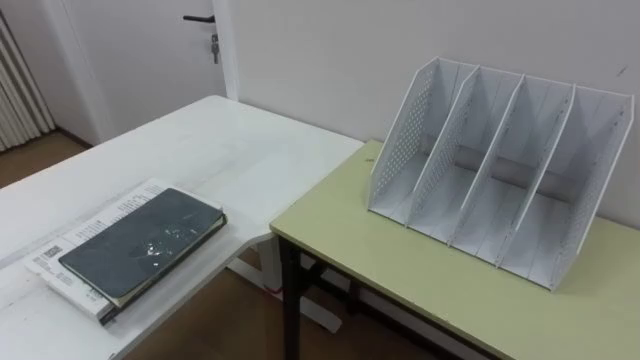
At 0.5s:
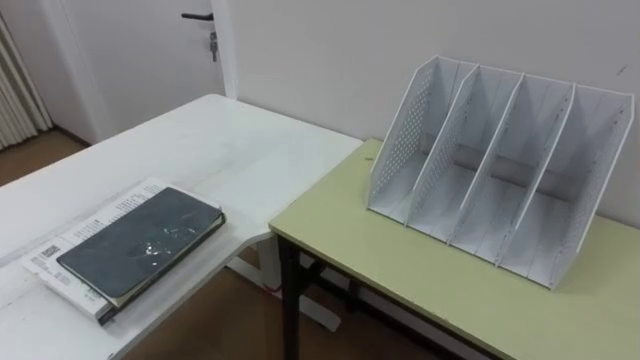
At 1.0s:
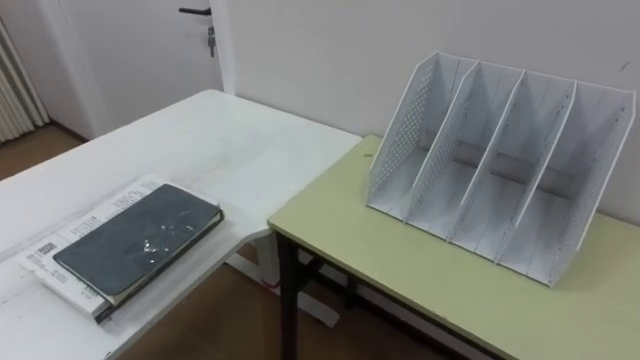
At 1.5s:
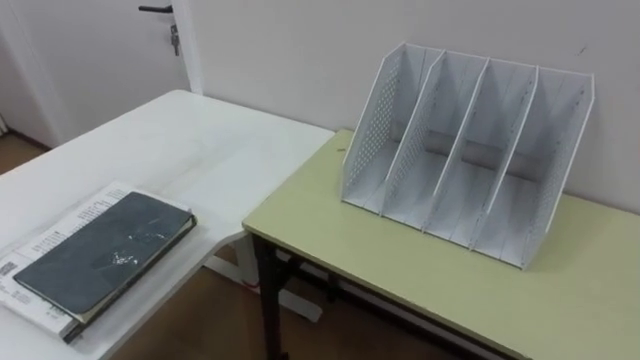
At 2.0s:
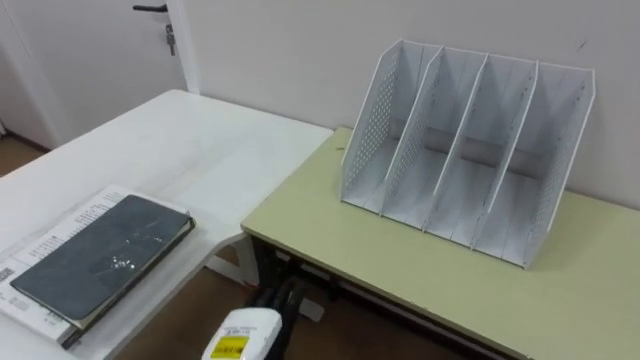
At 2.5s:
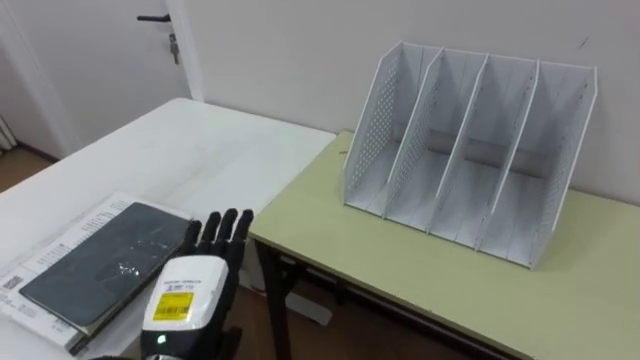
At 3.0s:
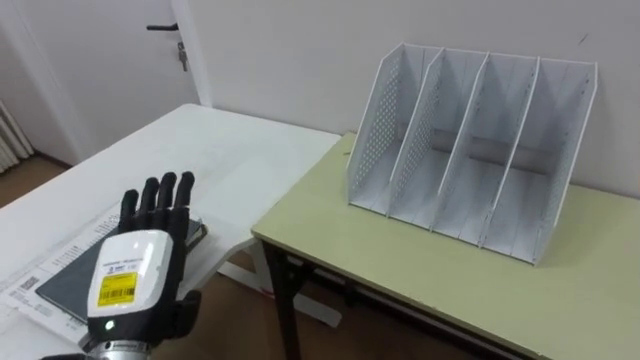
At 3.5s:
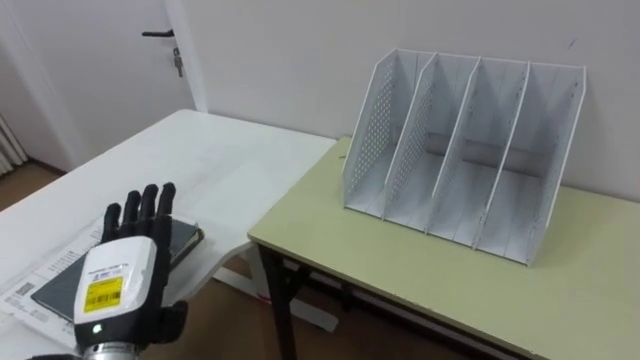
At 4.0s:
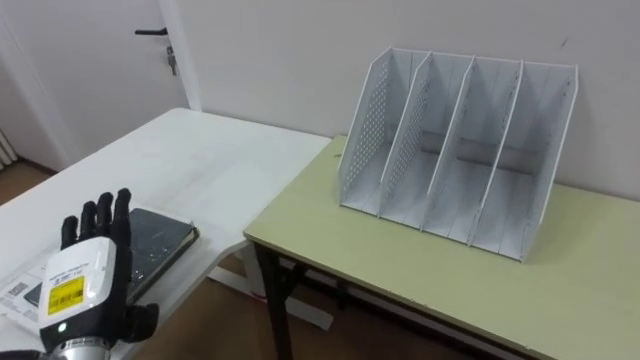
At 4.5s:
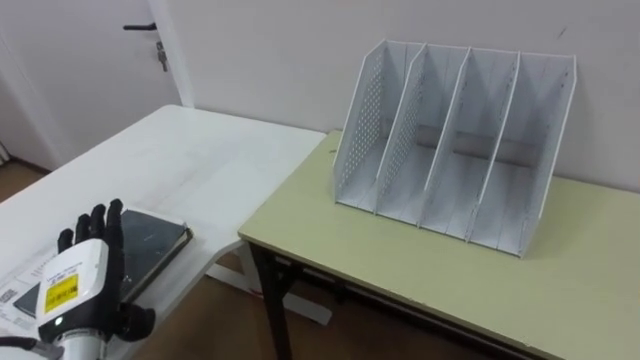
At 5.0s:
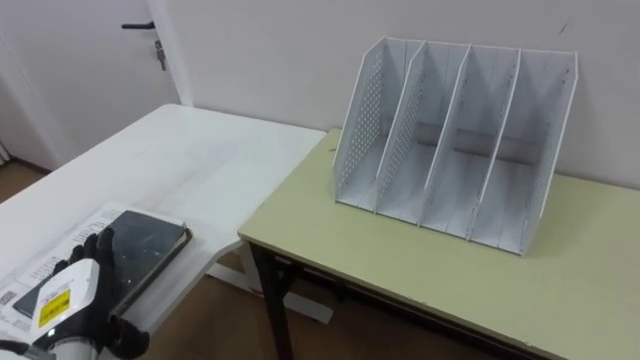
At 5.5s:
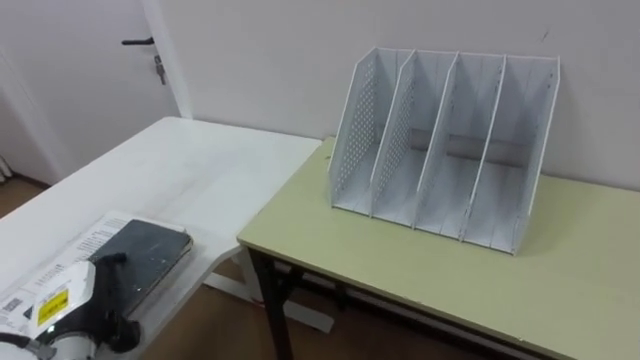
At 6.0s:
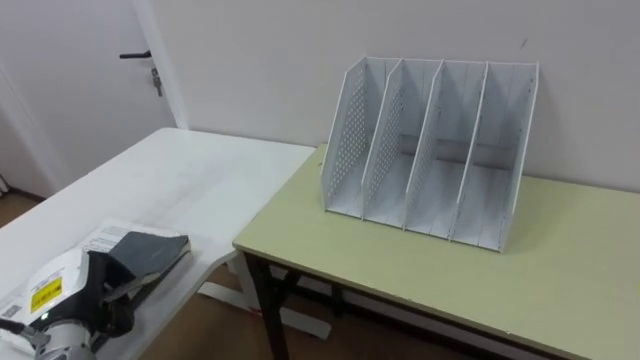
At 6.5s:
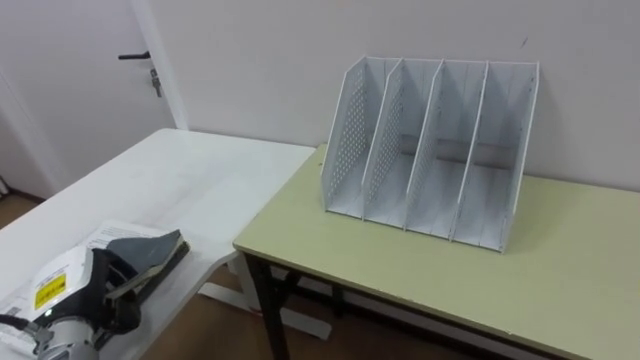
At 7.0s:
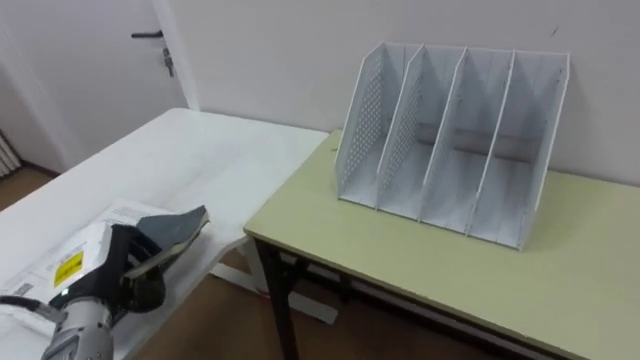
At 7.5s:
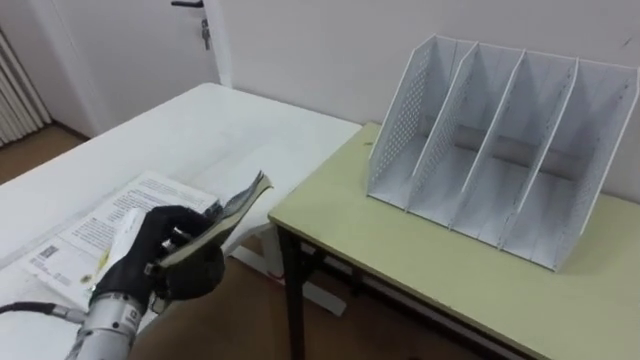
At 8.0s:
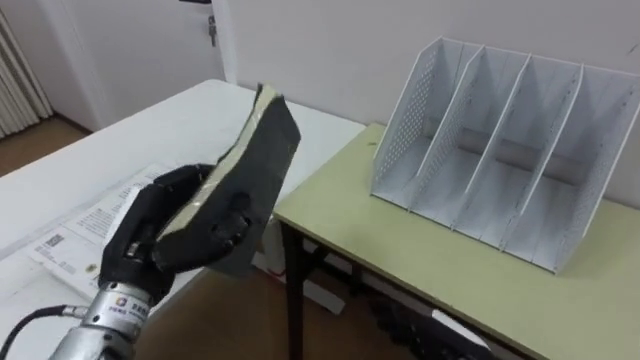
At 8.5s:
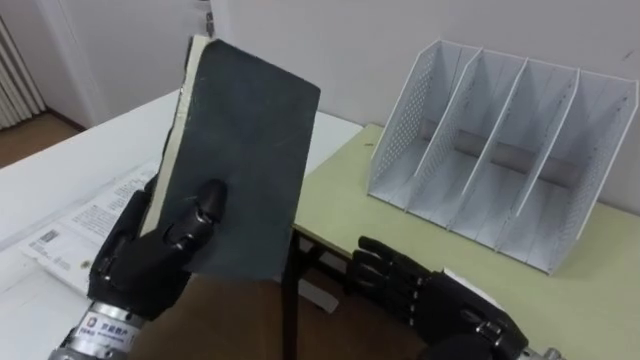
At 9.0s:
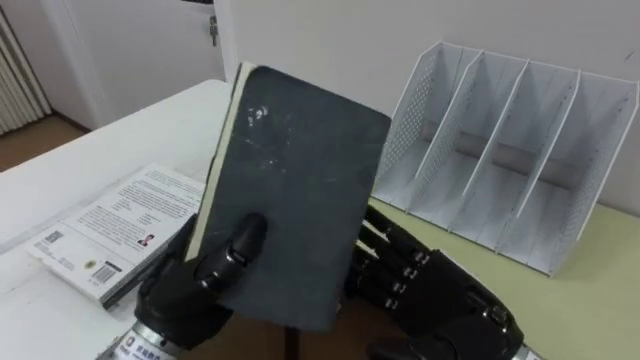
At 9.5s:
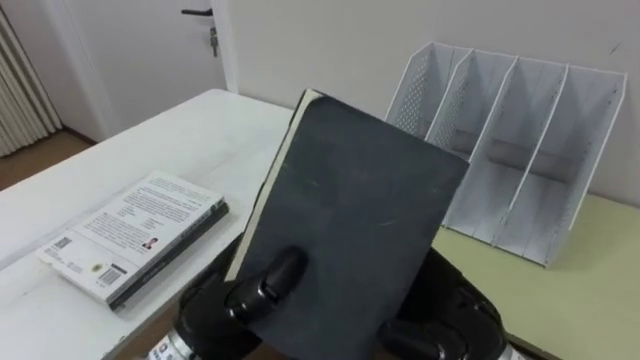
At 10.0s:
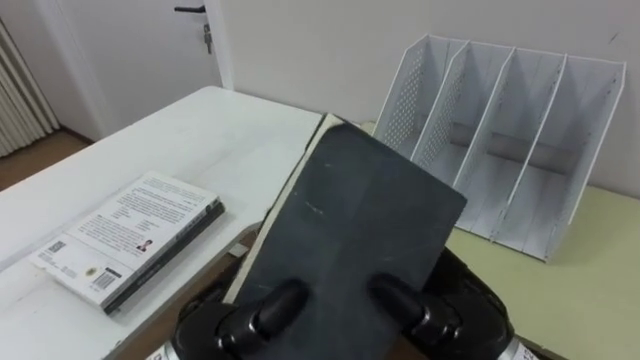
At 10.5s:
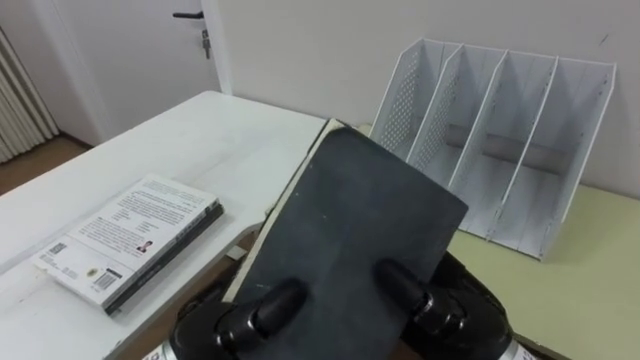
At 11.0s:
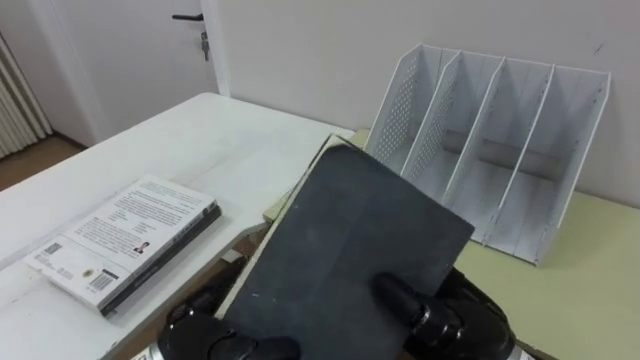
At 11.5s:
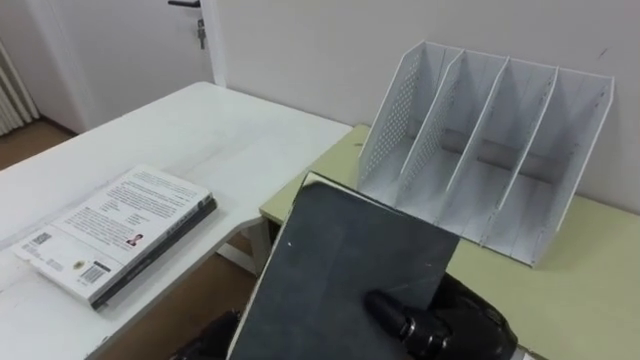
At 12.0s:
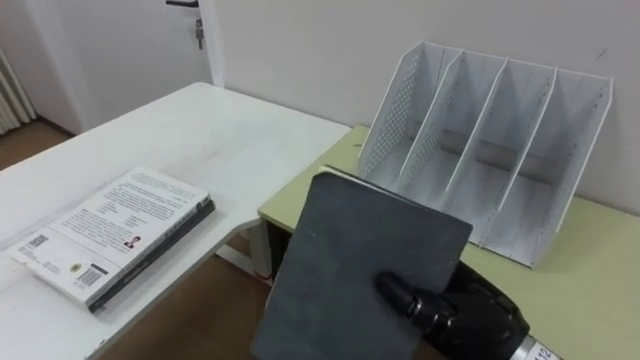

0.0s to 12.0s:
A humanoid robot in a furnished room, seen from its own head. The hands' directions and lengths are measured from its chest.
Task of the whole recording: Put the books on the table onto the bookshelf.
2.0s to 4.0s: The left hand heads to the left and upward, covering roughly 20 cm.
4.0s to 6.0s: The left hand shifts roughly 5 cm downward, and closes its fingers.
6.0s to 8.0s: The left hand travels to the right and upward by roughly 15 cm.
8.0s to 10.0s: The right hand moves upward, some 15 cm. Meanwhile the left hand shifts roughly 15 cm to the right and backward.
10.0s to 12.0s: The right hand closes up.

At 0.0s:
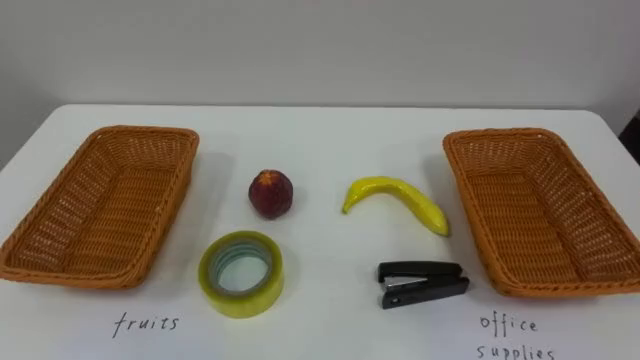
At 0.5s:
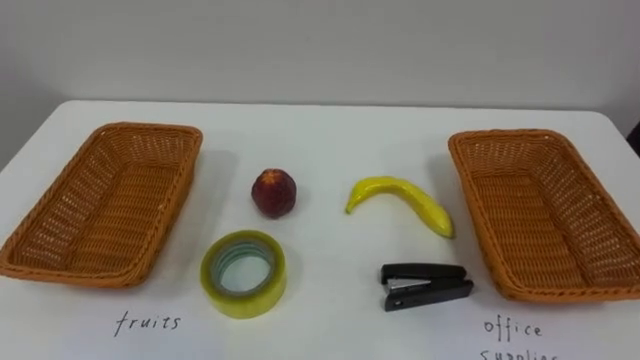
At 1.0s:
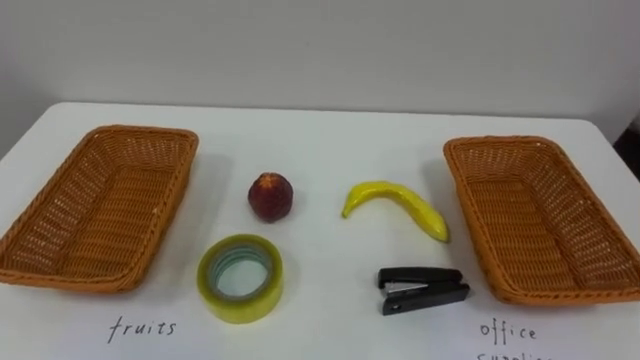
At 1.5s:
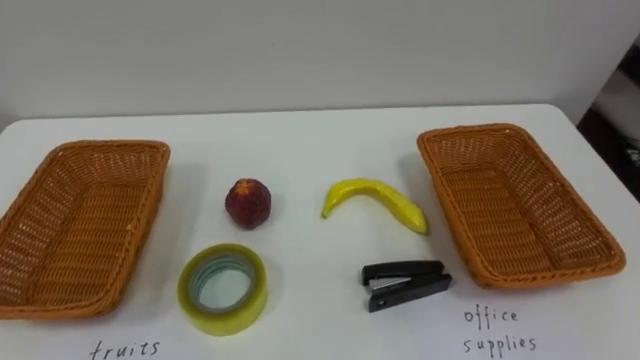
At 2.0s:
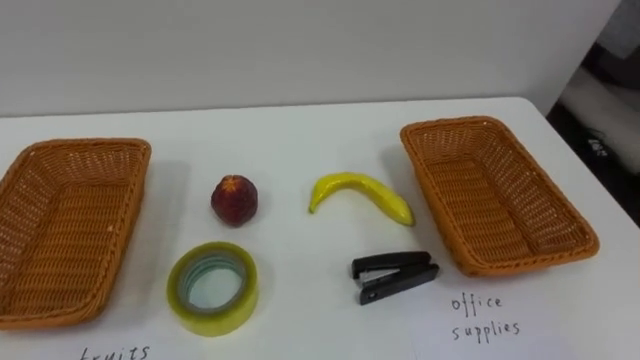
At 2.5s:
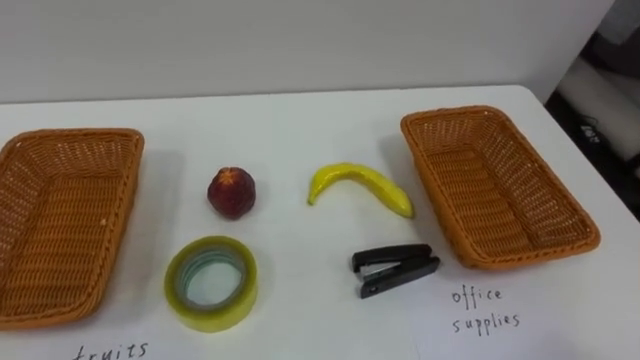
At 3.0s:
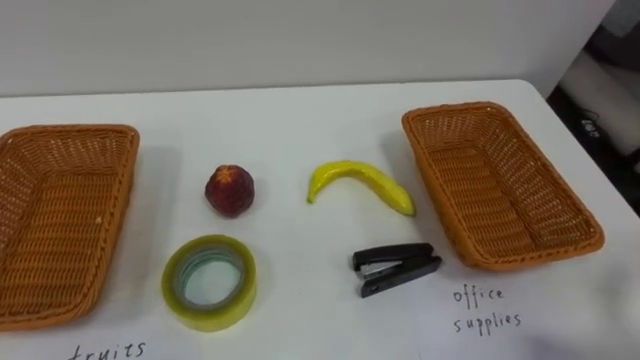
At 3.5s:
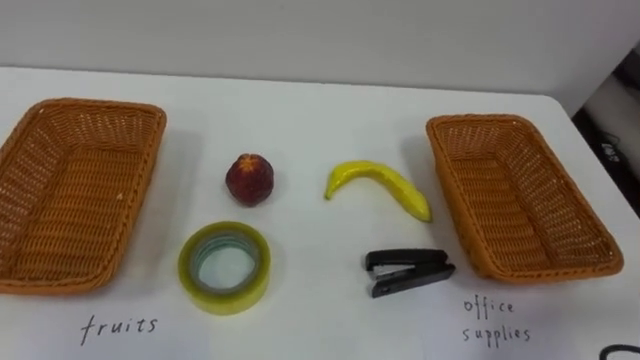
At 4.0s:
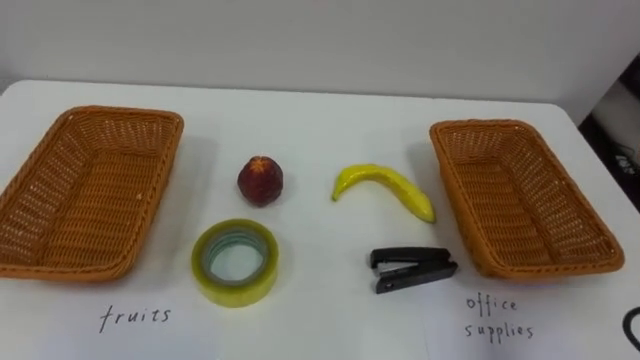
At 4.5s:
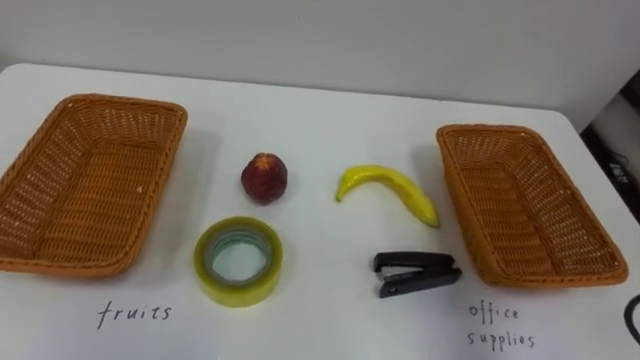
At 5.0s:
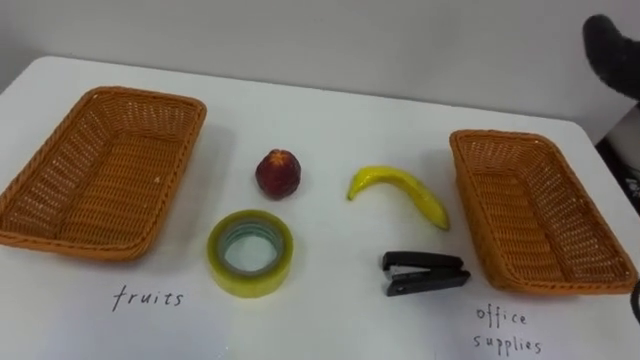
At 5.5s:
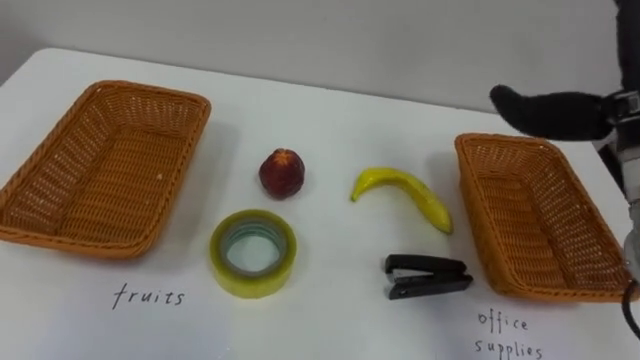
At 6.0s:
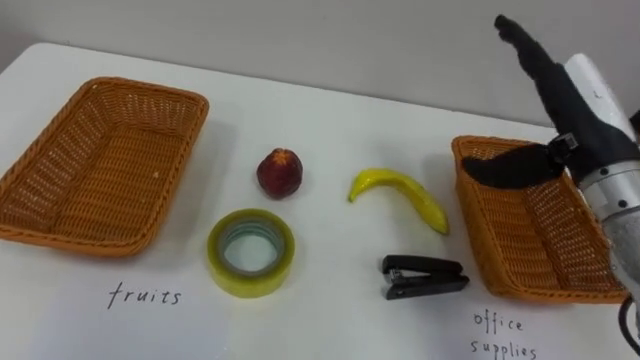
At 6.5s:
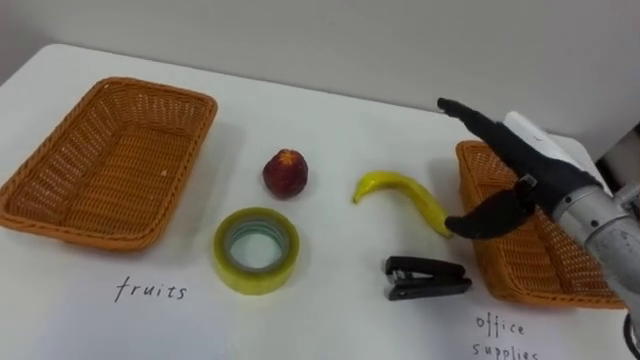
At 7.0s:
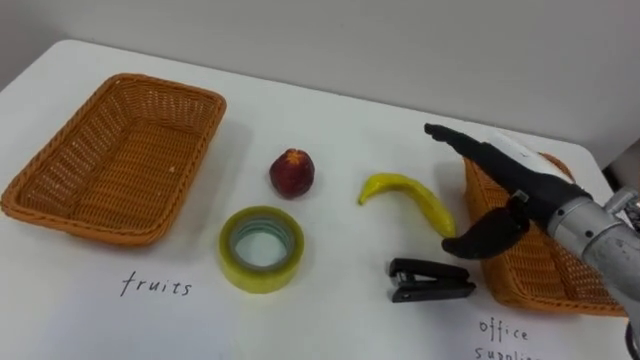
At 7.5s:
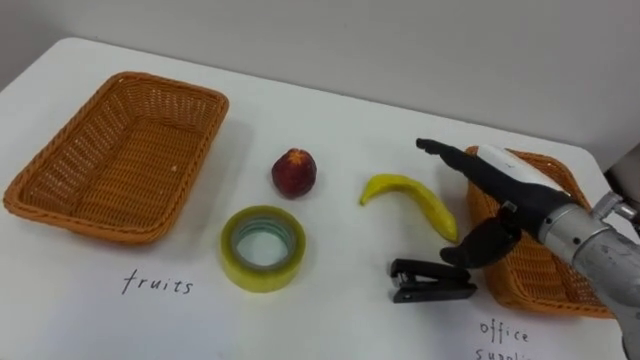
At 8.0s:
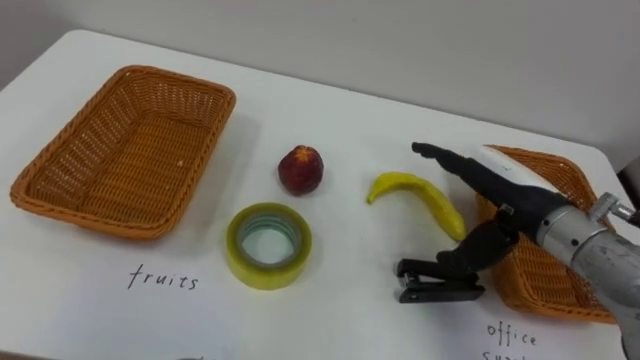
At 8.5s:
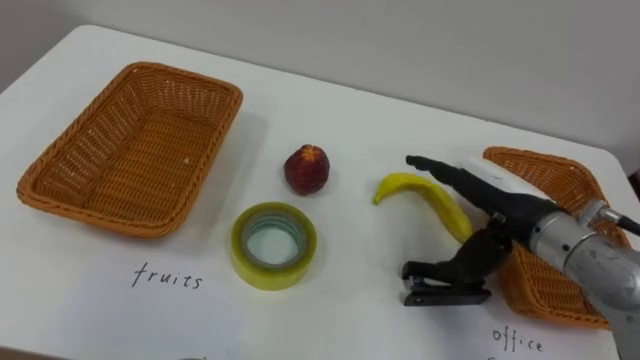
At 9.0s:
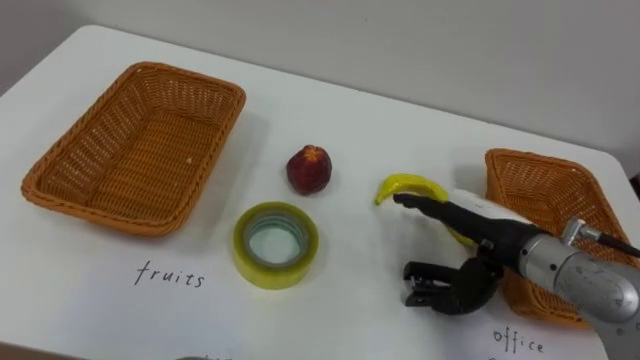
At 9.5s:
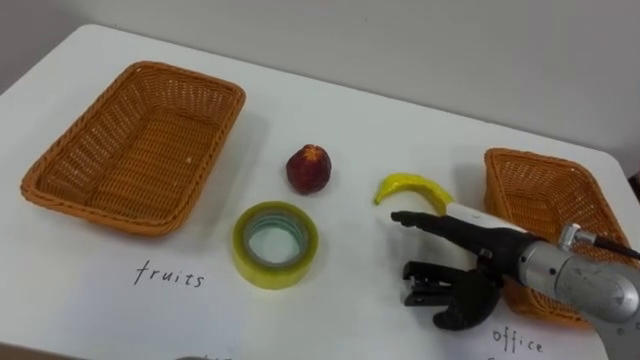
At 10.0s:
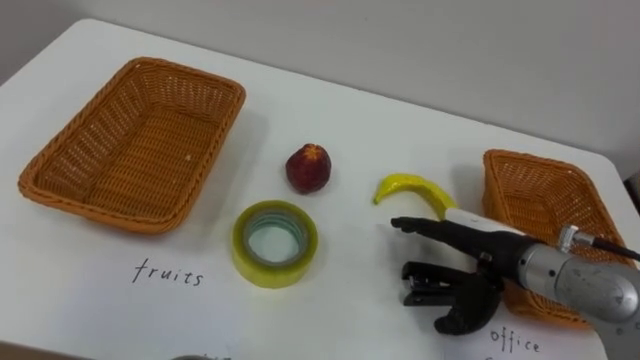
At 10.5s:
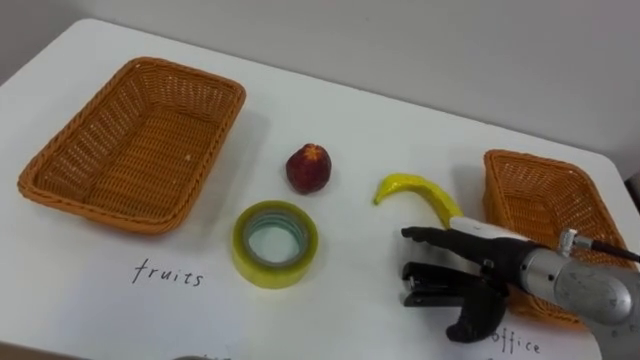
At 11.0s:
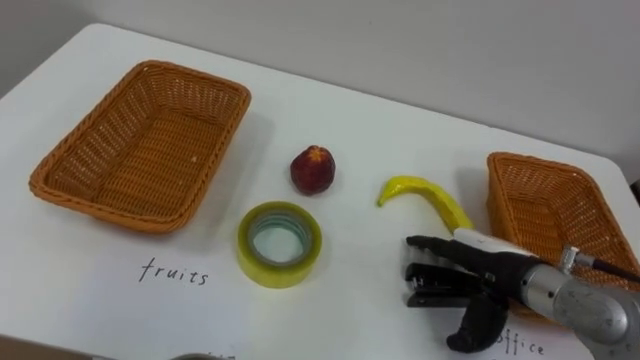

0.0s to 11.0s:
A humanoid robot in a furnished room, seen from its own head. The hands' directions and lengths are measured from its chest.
Task of the whole recording: Separate the items on the table and place them into the two baskets.
5.5s to 7.5s: The right hand heads downward, covering about 15 cm.
7.5s to 9.0s: The right hand changes place by approximately 5 cm.
9.0s to 11.0s: The right hand shifts by roughly 5 cm.
